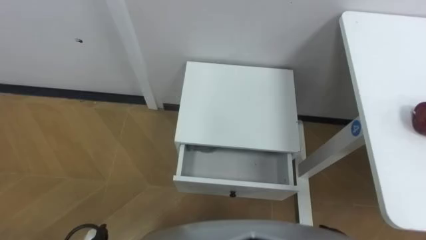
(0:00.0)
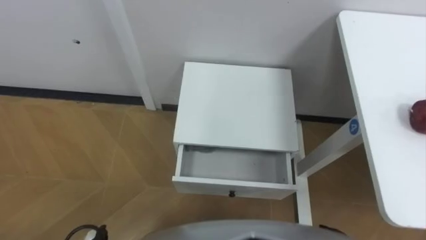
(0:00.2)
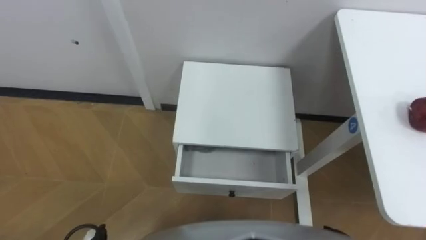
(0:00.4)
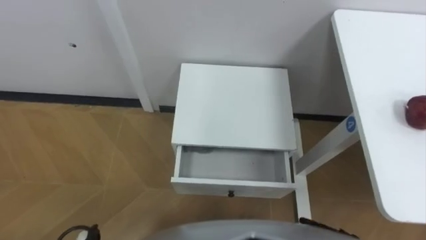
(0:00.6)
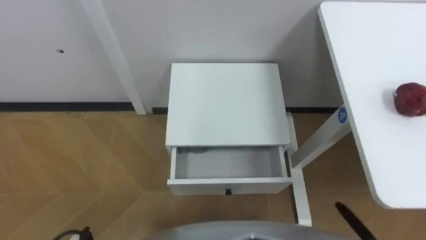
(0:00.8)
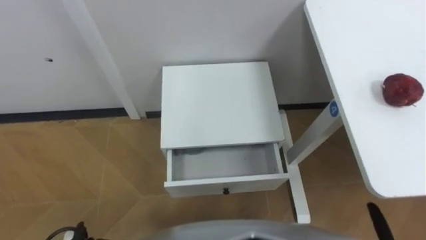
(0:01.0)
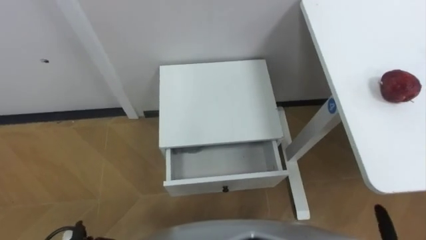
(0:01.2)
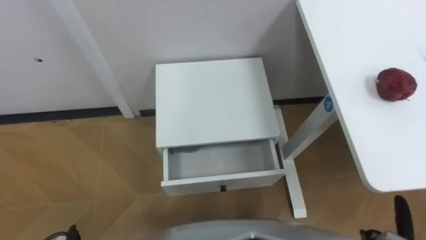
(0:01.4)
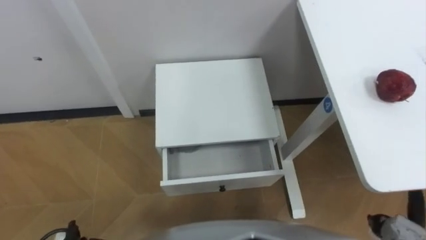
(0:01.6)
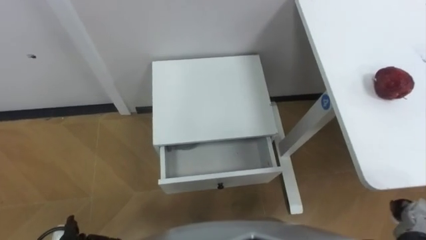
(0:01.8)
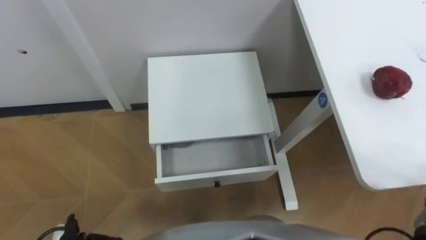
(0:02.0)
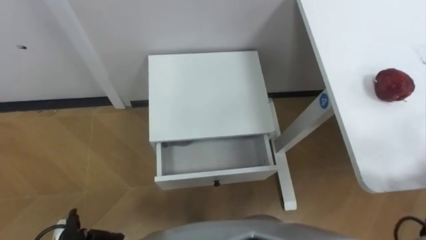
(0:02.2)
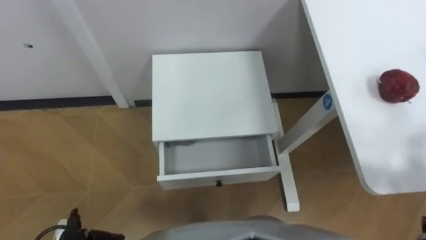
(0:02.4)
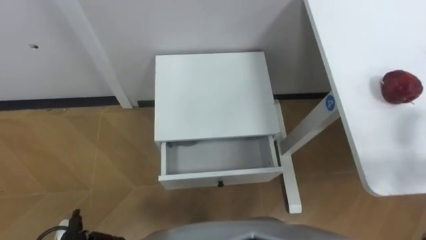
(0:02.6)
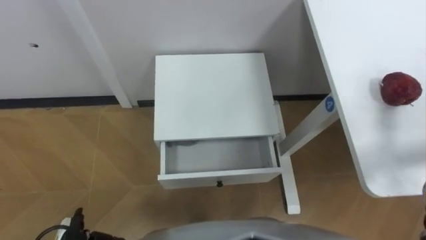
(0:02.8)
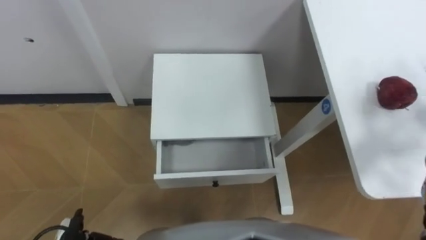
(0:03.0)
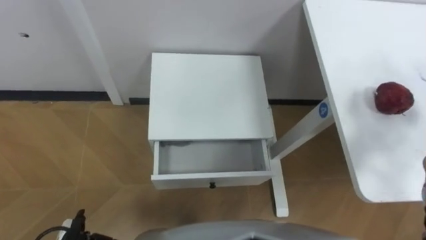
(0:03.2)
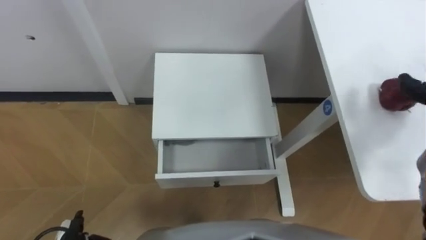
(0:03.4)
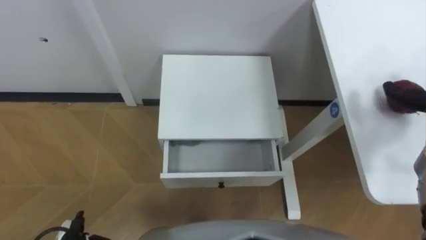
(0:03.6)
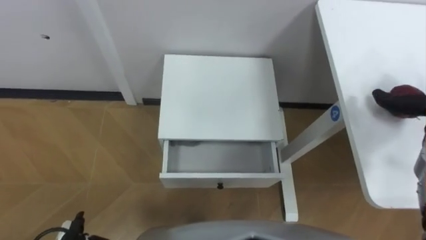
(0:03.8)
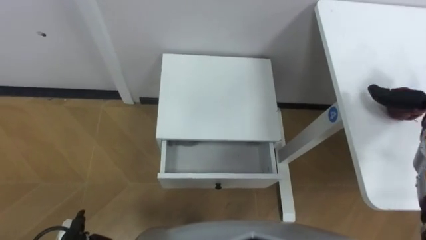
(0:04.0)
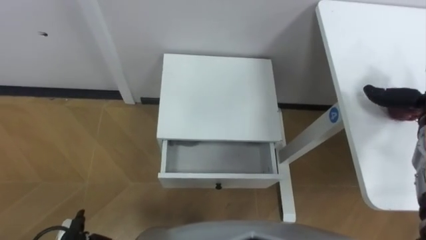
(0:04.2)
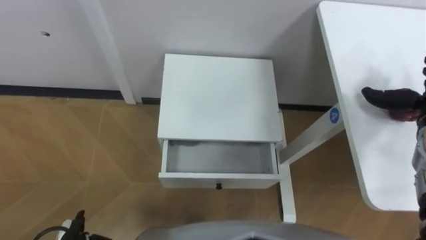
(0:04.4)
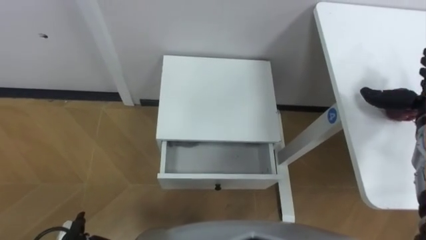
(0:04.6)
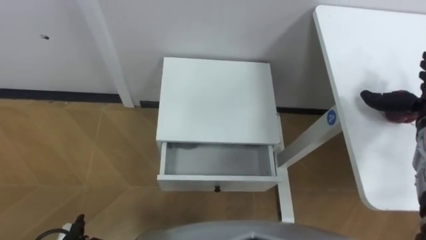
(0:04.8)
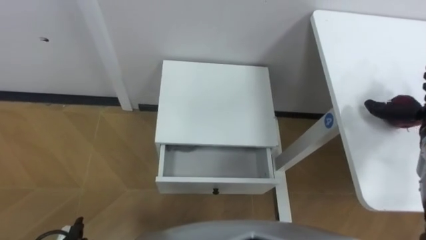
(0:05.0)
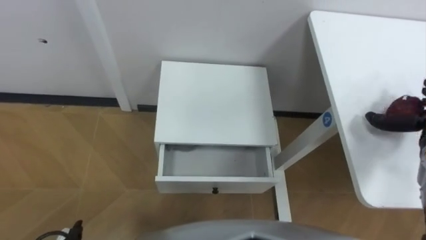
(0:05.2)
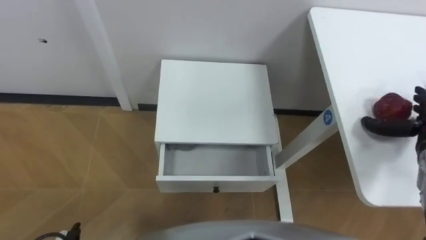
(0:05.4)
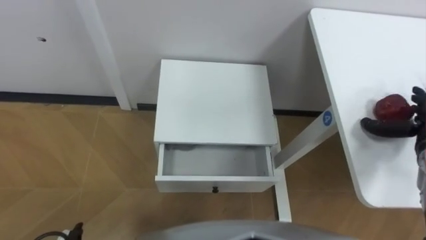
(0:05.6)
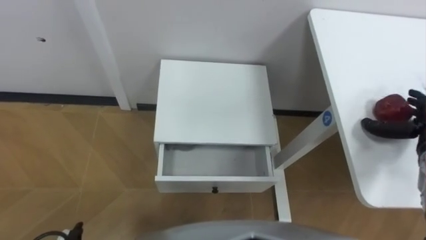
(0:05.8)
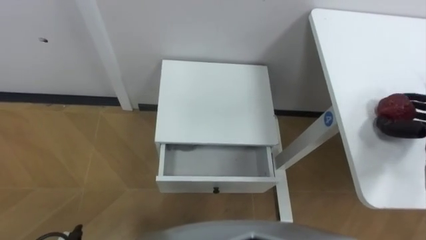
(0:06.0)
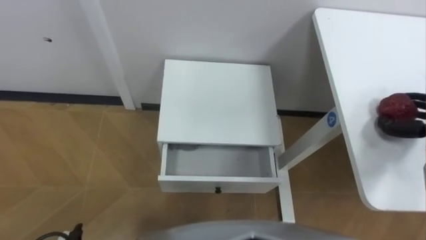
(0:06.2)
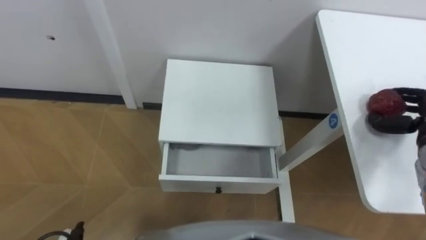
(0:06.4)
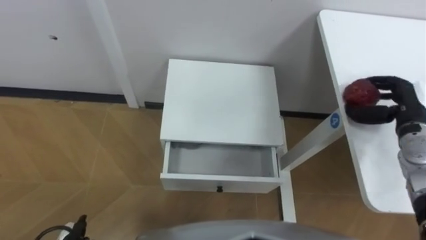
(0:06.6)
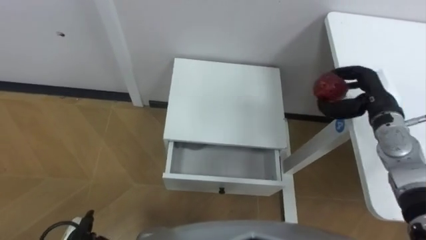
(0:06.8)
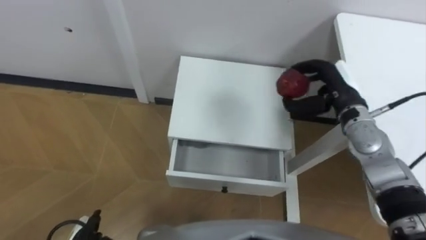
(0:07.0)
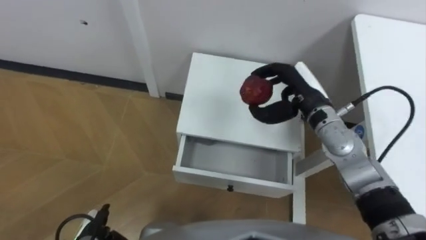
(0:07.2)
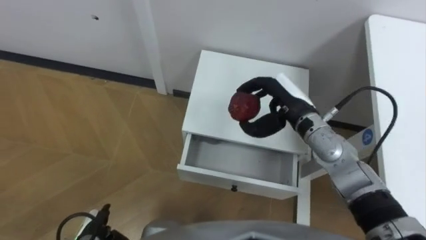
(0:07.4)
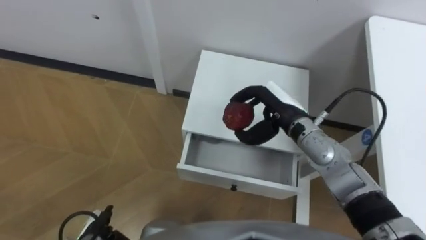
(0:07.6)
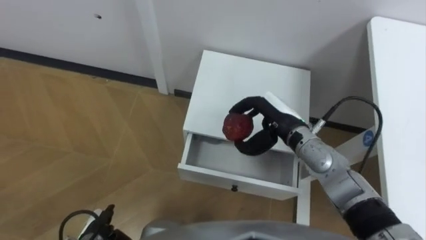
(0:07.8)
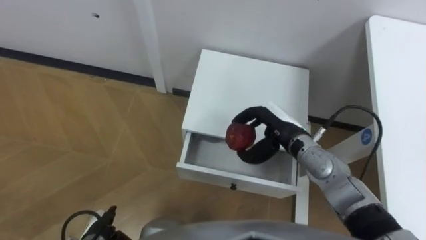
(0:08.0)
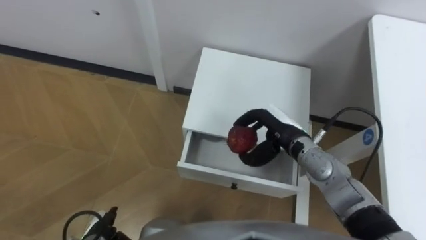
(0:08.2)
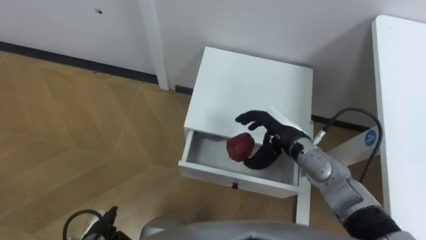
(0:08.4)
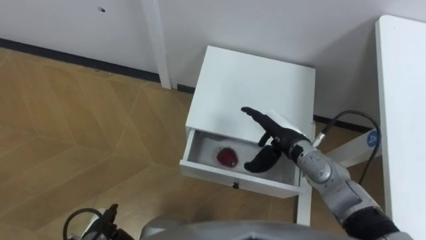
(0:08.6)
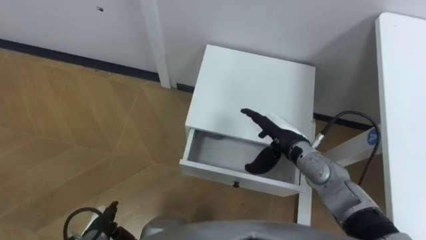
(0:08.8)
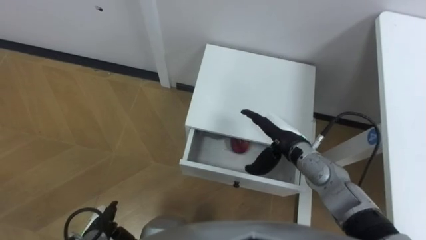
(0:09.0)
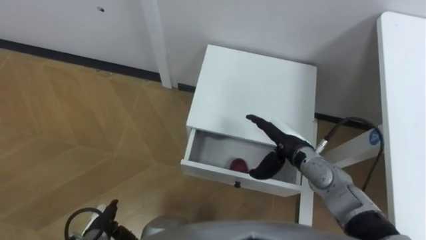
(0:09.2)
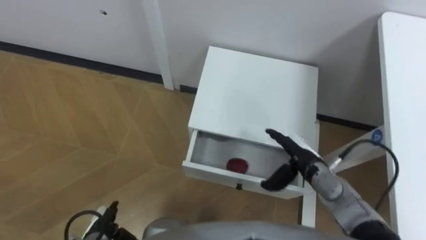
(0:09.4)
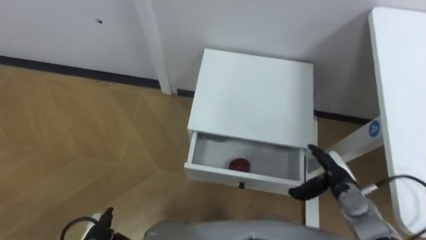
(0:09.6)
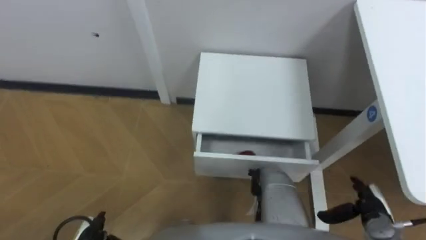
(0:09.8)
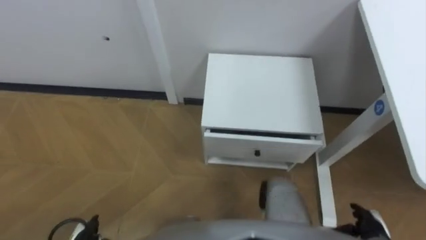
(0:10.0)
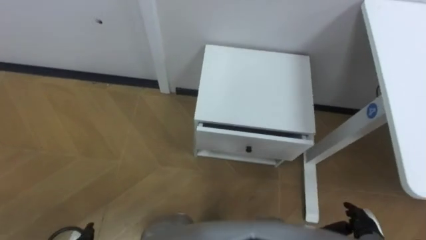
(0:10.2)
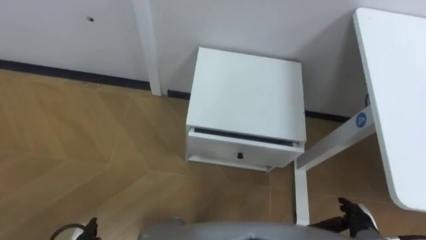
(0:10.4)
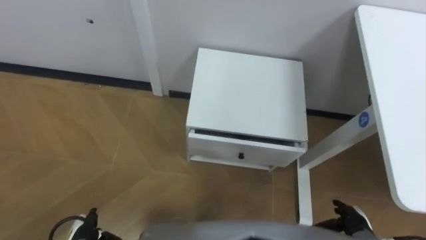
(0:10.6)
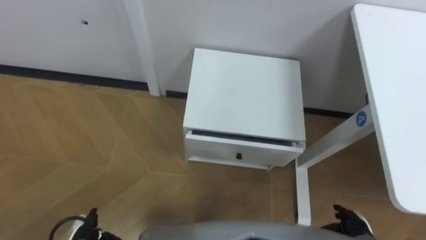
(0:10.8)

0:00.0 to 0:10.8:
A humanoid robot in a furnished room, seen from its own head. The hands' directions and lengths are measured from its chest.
Task of the whole recording: Pick up the apple from the table, put it in the drawer, and close the drawer with leg.
0:07.8 to 0:09.2: The right hand ends up approximately 5 cm from where it was, and opens up.
0:09.2 to 0:10.8: The right hand travels backward, to the right and downward by some 25 cm.

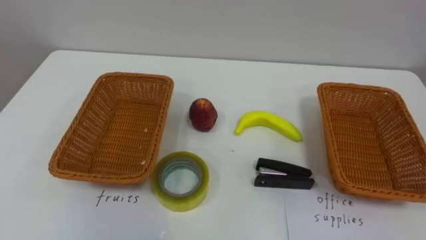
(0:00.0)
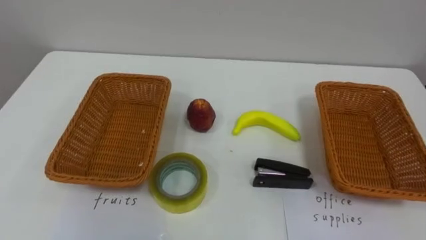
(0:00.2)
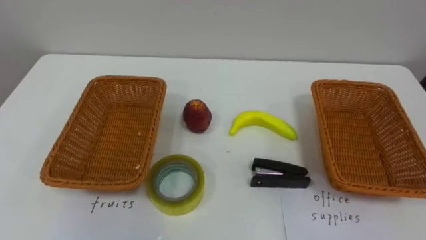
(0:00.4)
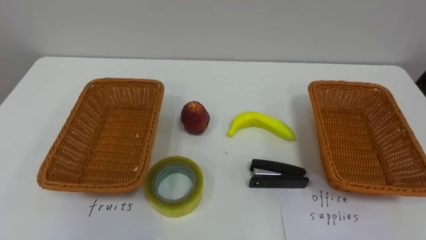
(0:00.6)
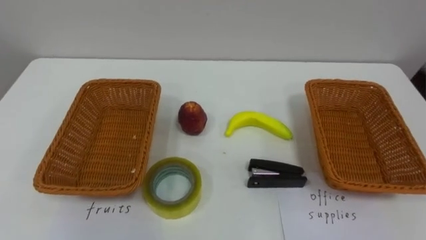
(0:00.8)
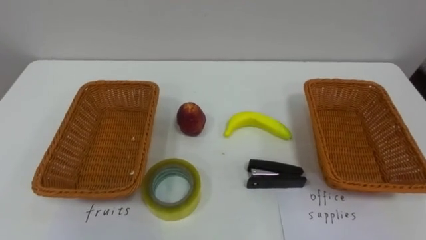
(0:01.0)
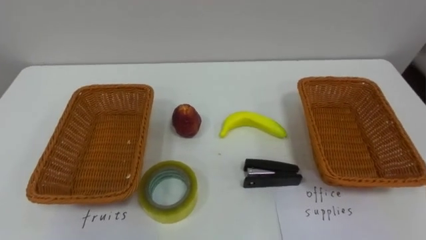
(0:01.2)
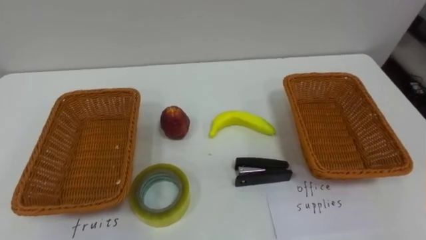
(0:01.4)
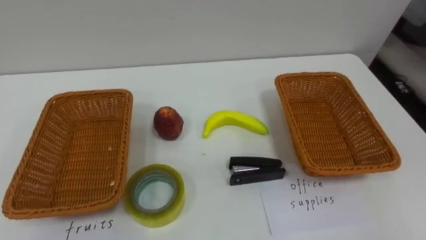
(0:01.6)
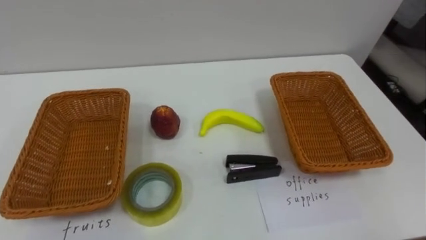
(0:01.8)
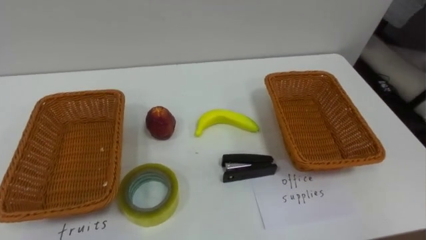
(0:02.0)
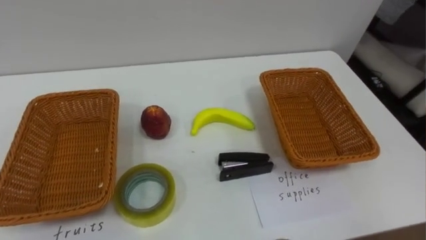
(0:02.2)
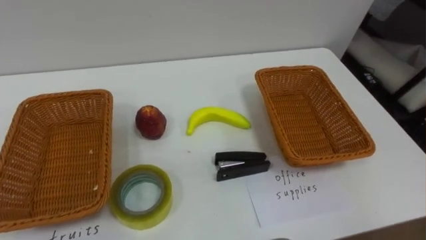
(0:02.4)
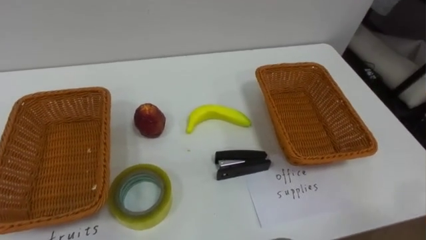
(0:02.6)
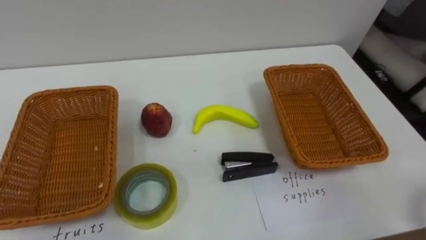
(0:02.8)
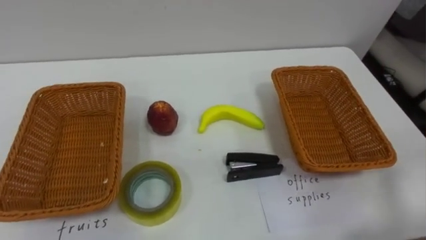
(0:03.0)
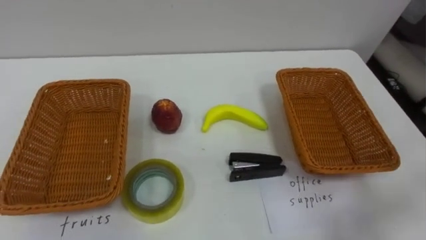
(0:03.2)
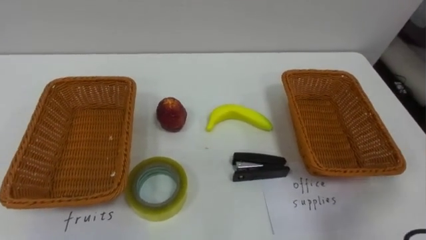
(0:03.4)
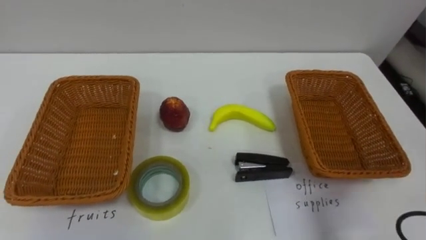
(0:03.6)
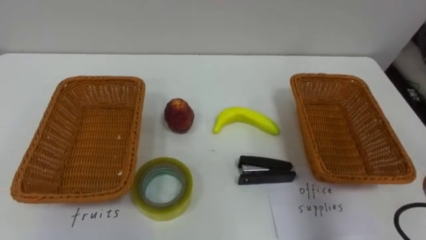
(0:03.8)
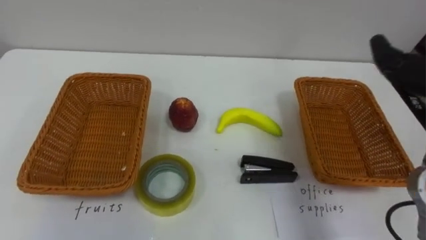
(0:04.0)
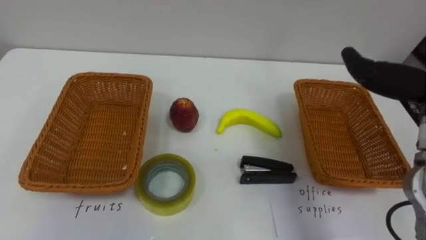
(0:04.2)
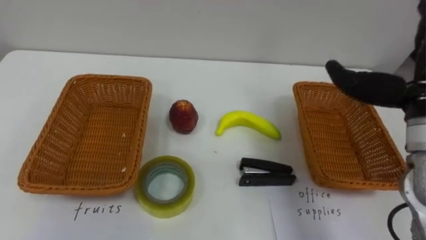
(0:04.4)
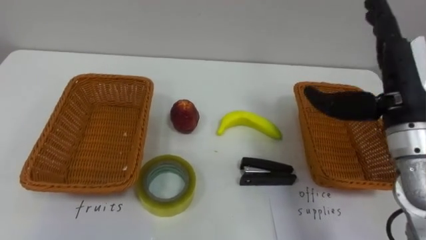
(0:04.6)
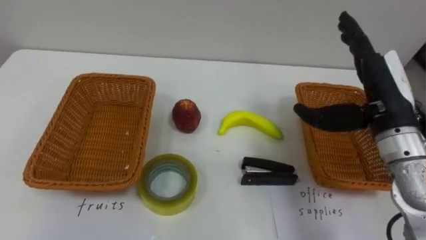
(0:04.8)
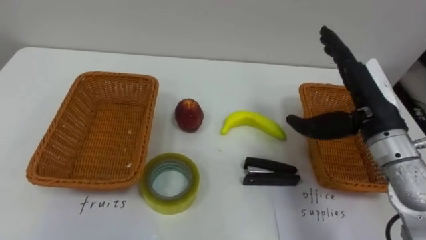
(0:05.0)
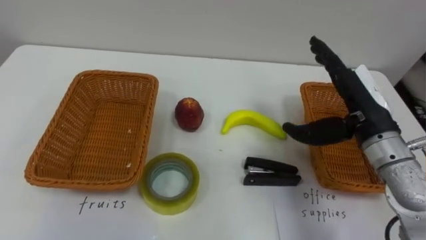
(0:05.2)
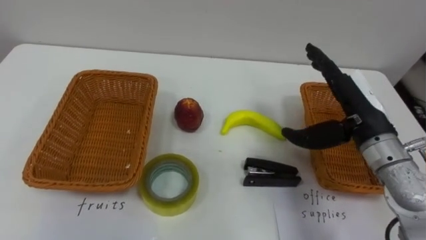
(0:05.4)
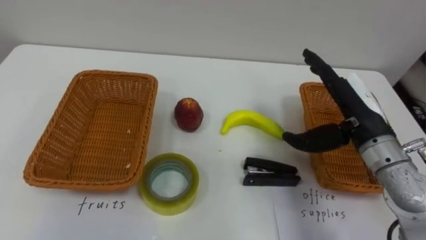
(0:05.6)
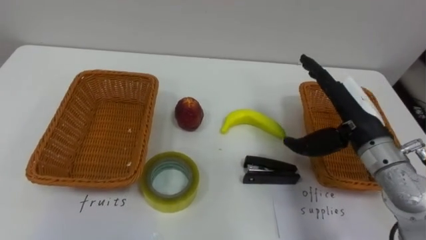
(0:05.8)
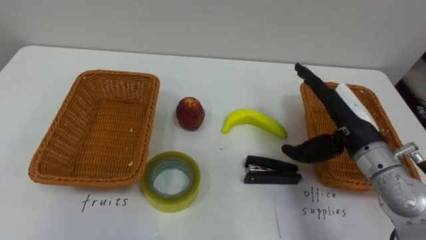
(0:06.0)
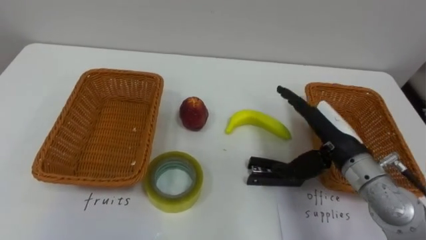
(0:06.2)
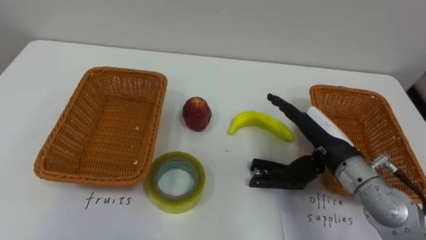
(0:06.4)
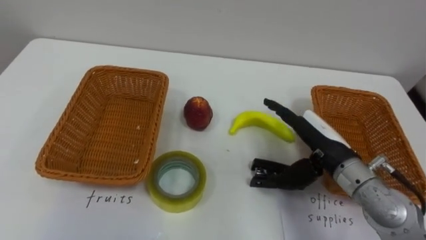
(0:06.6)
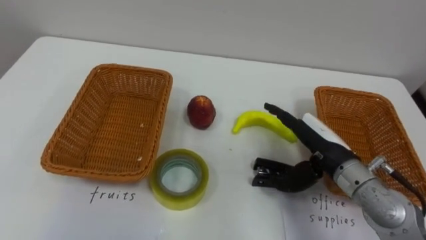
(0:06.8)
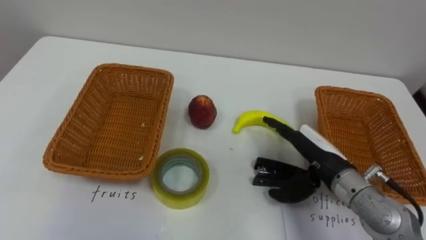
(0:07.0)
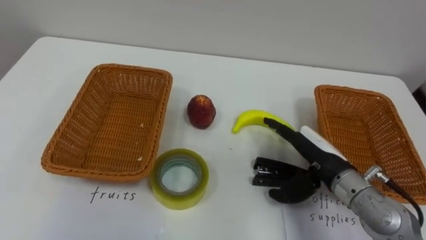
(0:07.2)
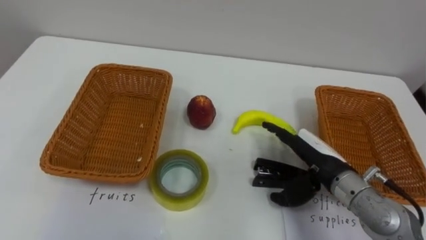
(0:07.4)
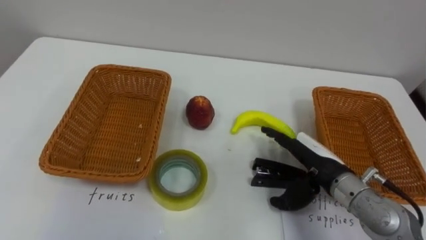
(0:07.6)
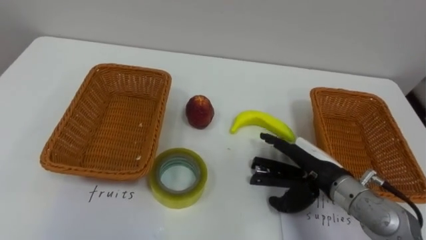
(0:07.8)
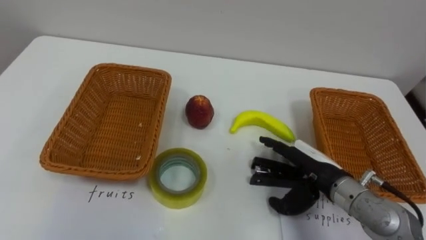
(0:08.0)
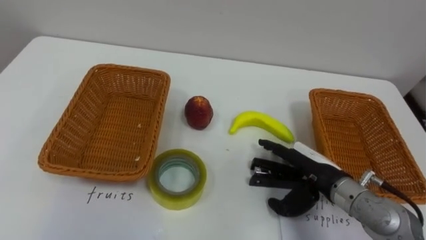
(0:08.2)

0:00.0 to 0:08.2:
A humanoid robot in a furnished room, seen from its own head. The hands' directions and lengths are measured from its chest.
Task of the whole recording: Separate the items on the table and place them into the two baskets.
0:05.0 to 0:06.6: The right hand is displaced downward by about 10 cm.
0:06.6 to 0:08.2: The right hand travels downward by about 5 cm.
